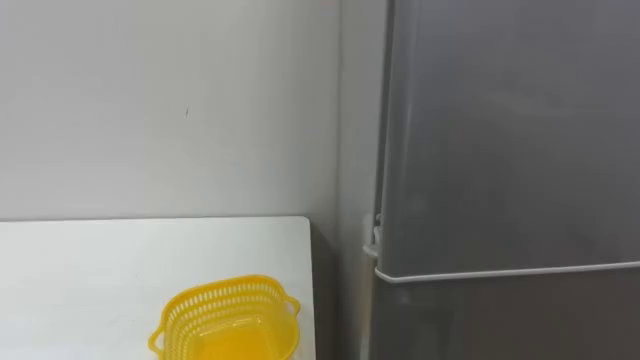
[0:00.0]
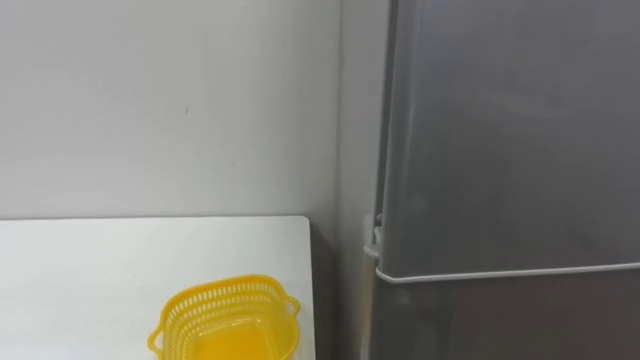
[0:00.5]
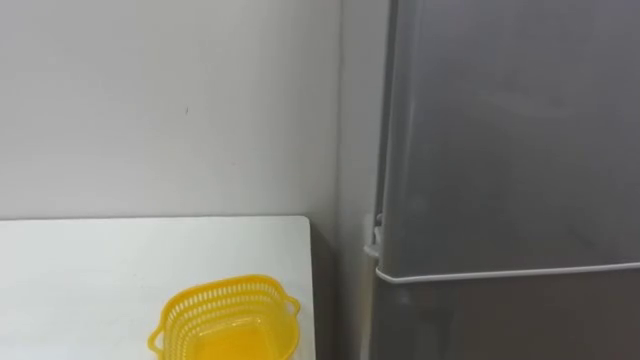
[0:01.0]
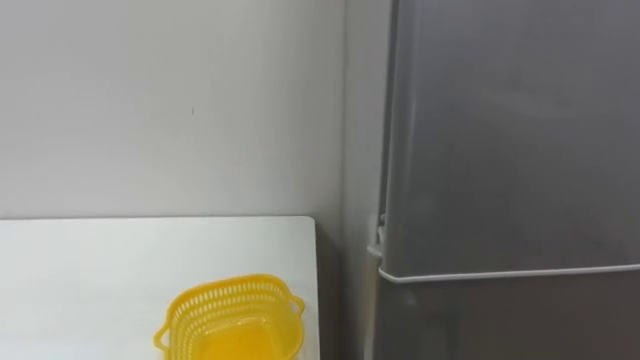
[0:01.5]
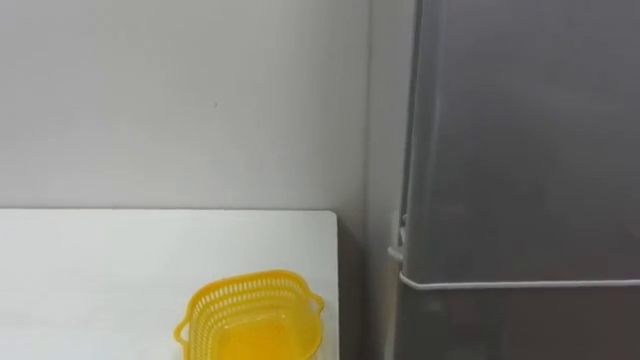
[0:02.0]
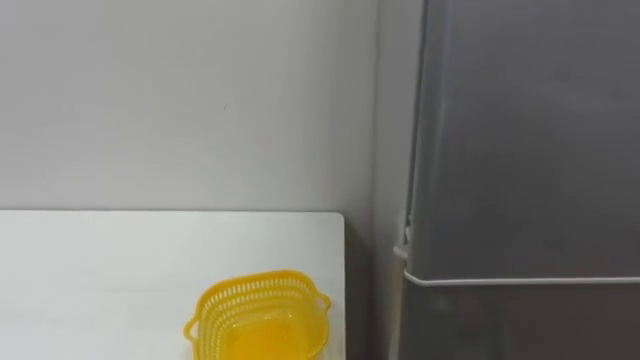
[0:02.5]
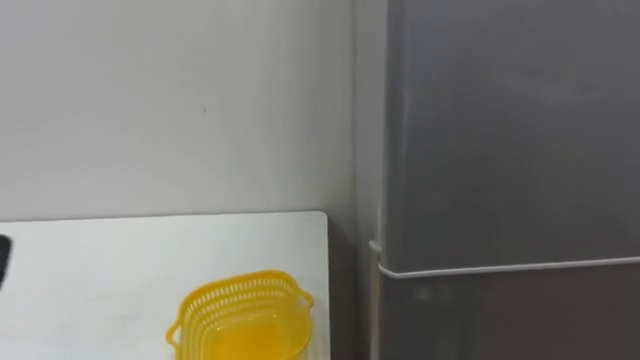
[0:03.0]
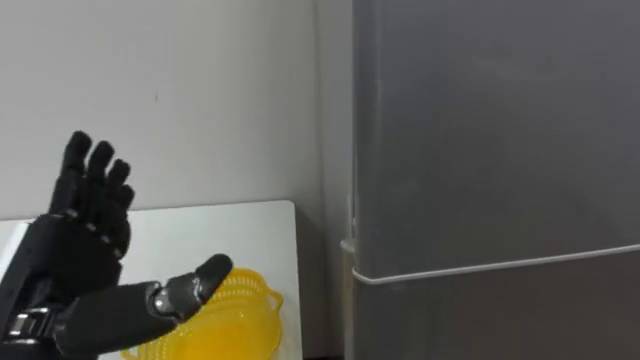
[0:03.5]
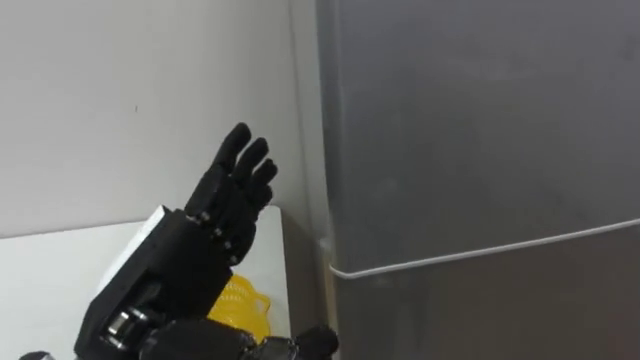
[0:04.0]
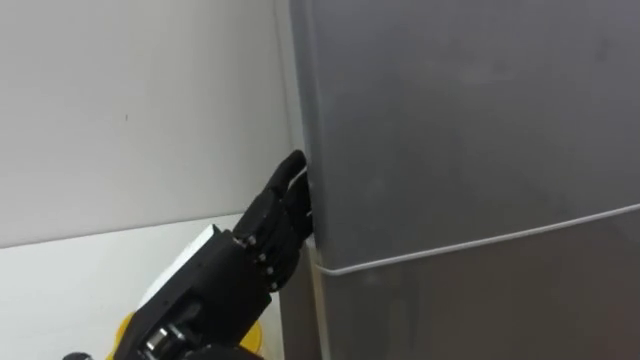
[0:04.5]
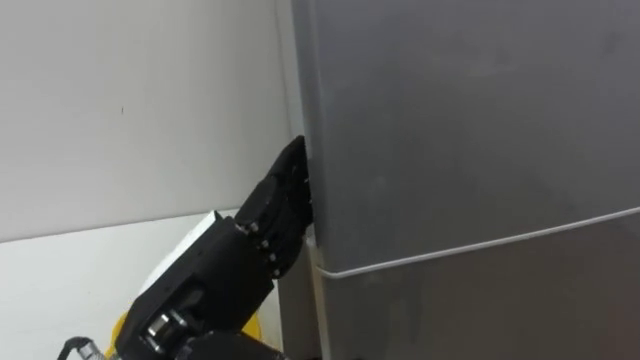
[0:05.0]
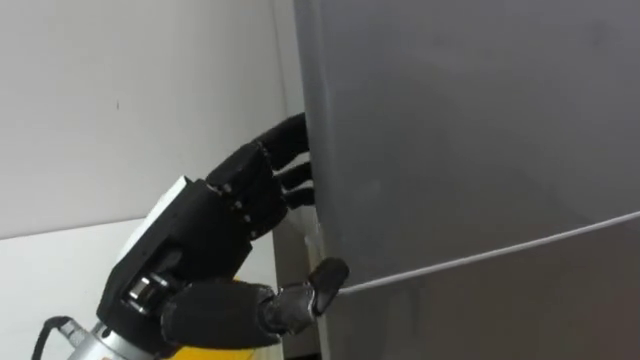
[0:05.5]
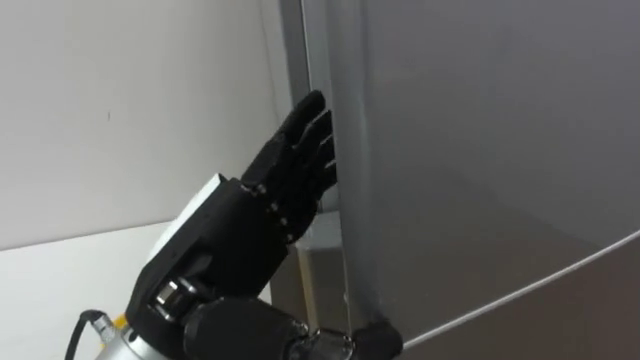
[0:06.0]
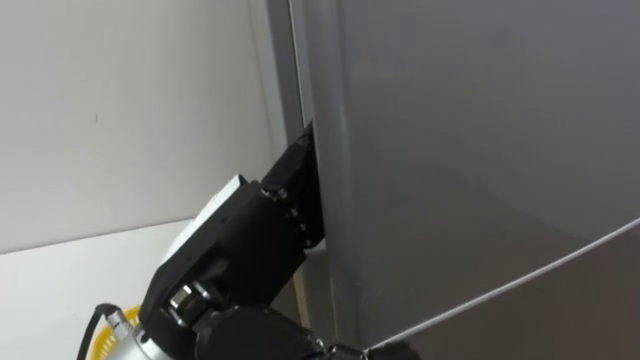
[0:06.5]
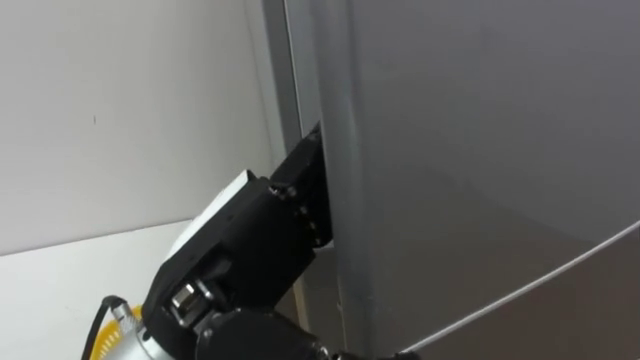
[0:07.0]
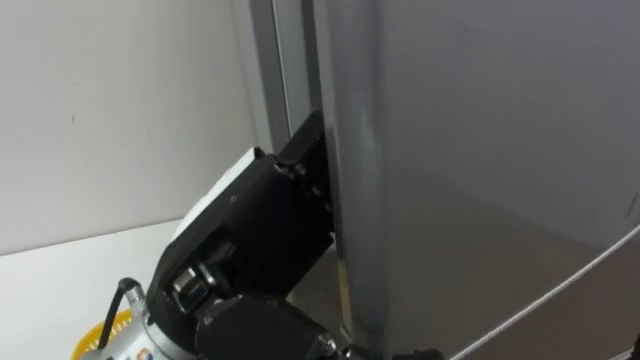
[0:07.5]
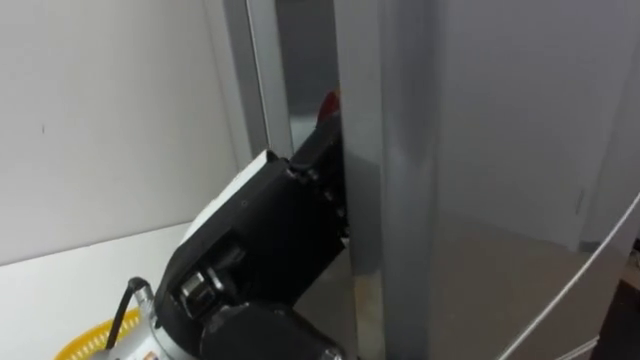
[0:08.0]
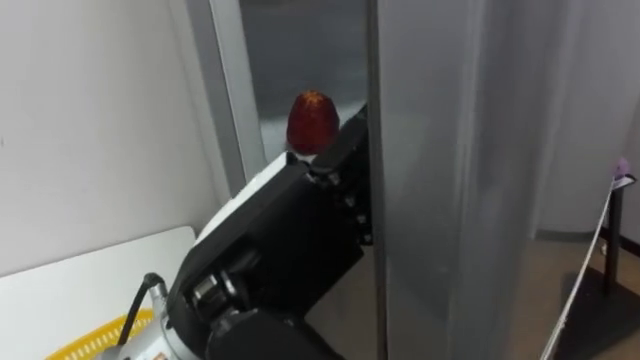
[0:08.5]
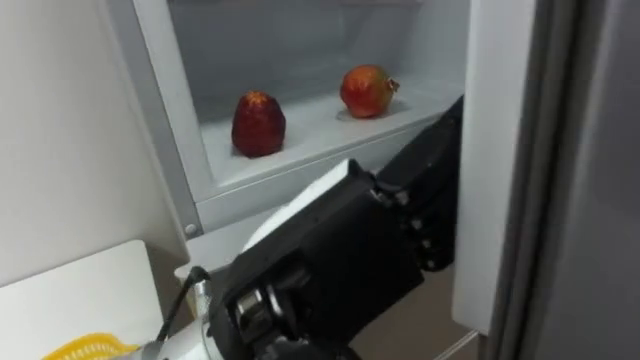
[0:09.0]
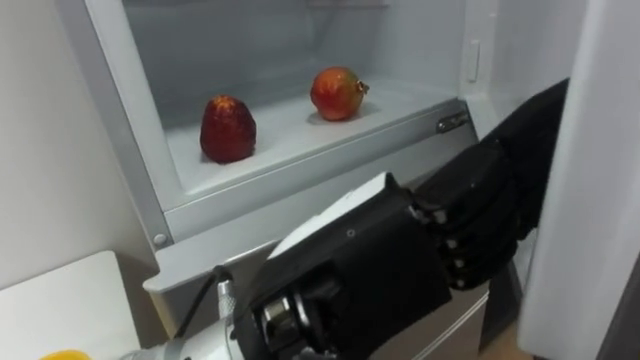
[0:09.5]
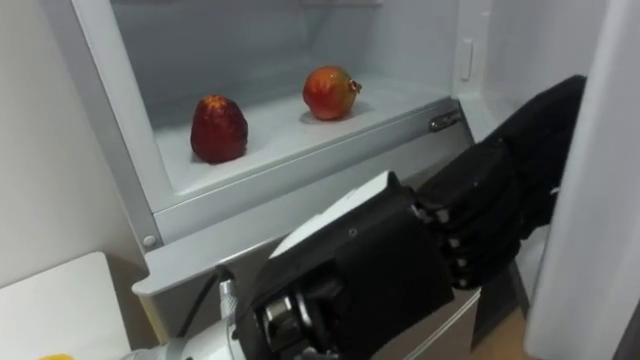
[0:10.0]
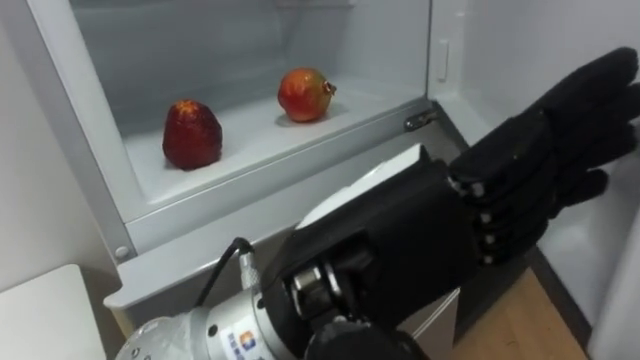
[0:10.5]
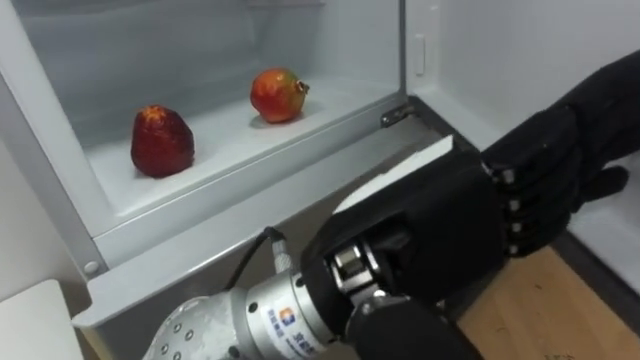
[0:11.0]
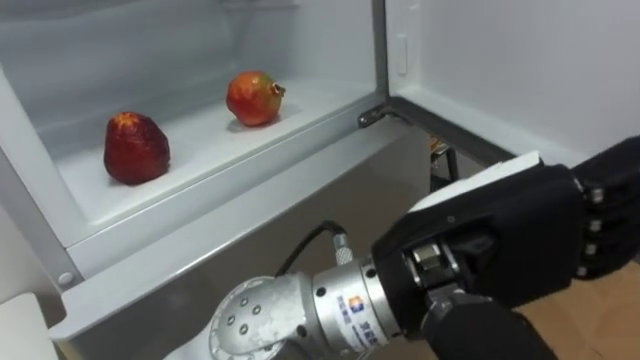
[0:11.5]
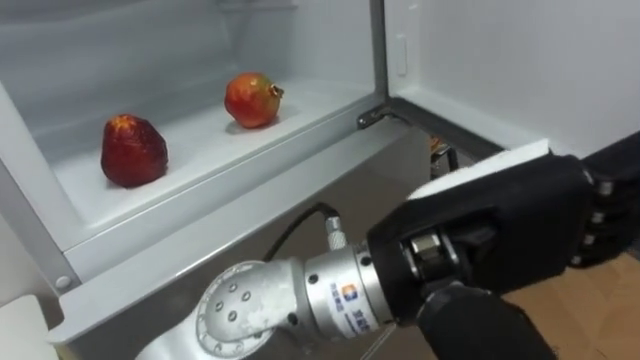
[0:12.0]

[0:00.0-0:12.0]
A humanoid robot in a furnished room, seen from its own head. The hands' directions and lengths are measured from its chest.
Task of the whole recording: Open the refrigerator door, take out the apple and the pomegranate, place them in the fruit basket on the left, and close the refrigerator door.
0:04.0 to 0:06.0: The left hand changes place by roughly 5 cm.
0:08.0 to 0:10.0: The left hand heads to the right, covering about 5 cm.
0:10.0 to 0:12.0: The left hand goes about 5 cm to the right.

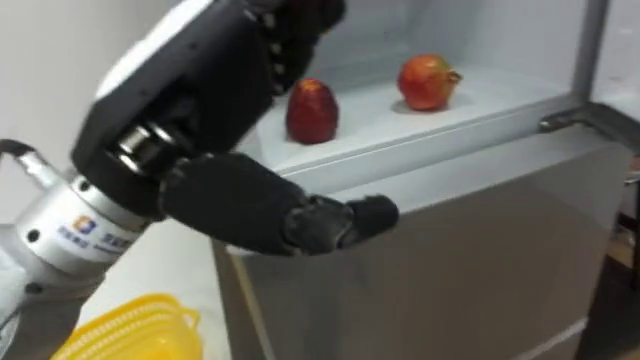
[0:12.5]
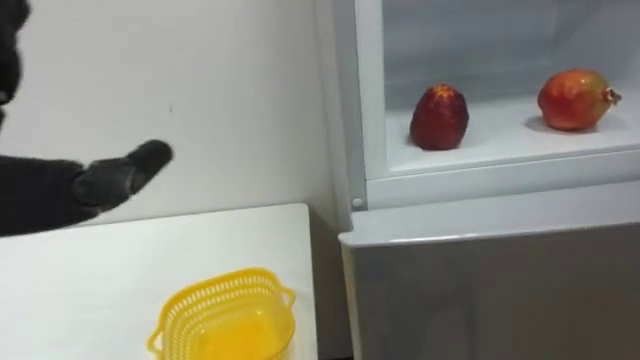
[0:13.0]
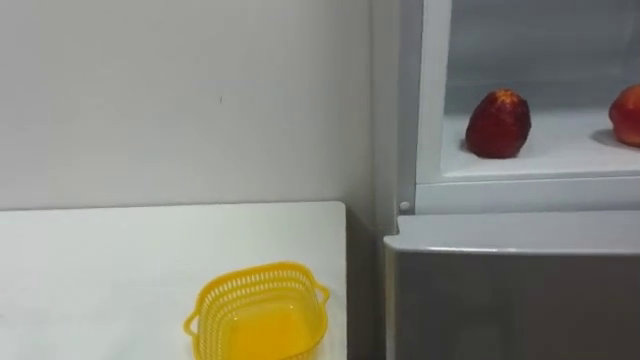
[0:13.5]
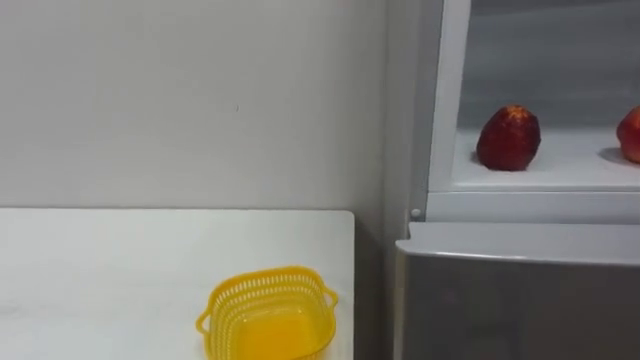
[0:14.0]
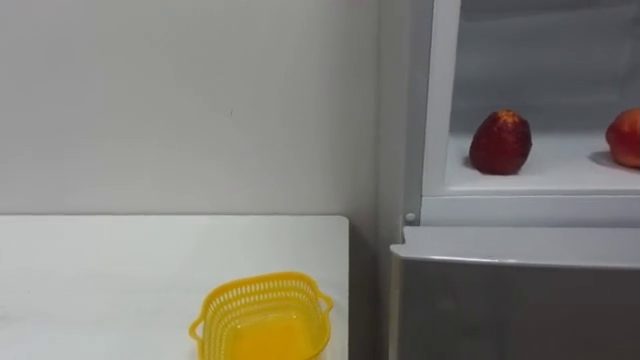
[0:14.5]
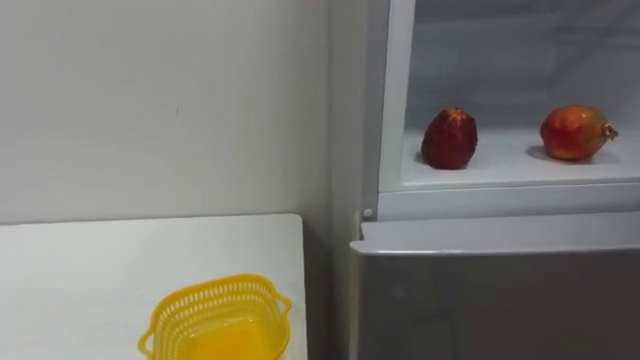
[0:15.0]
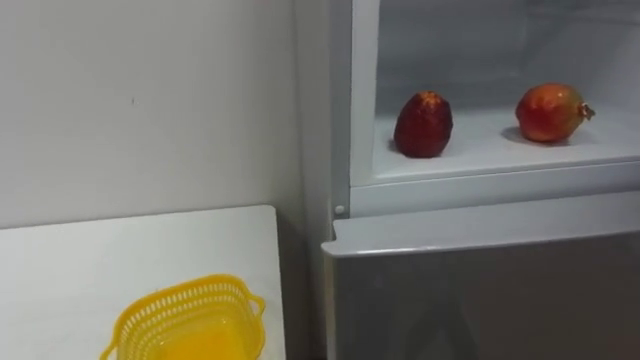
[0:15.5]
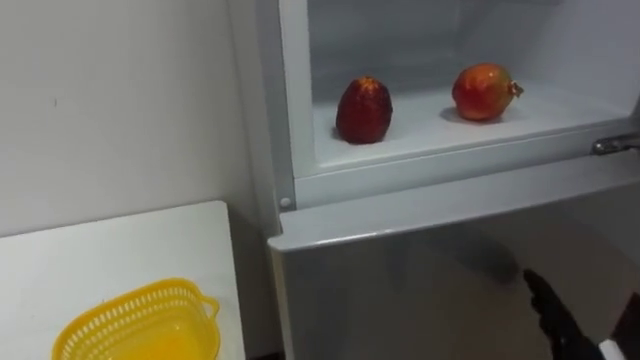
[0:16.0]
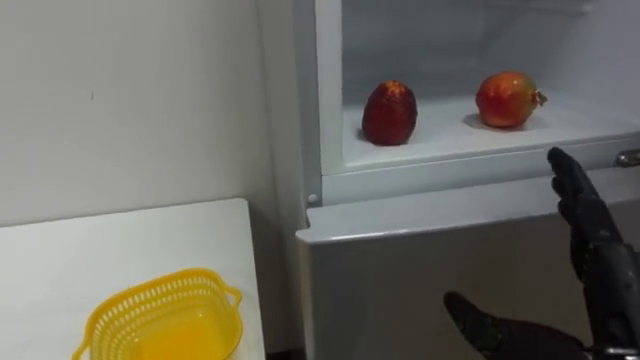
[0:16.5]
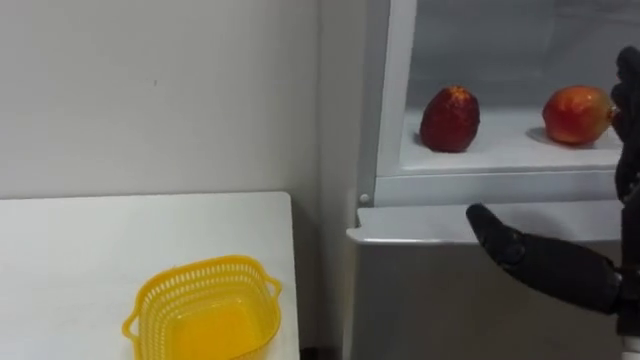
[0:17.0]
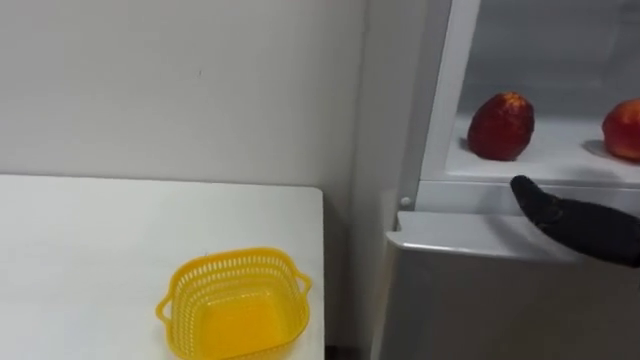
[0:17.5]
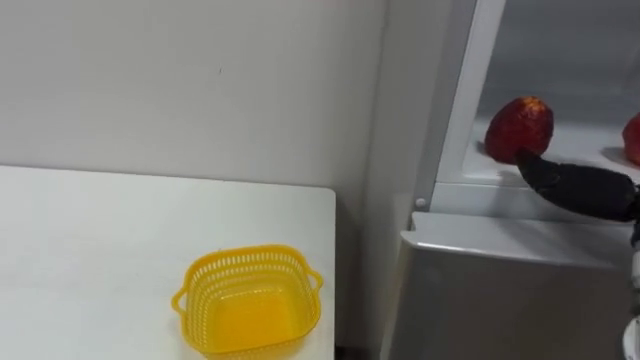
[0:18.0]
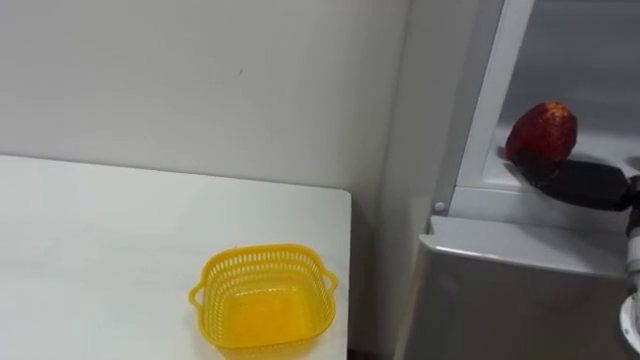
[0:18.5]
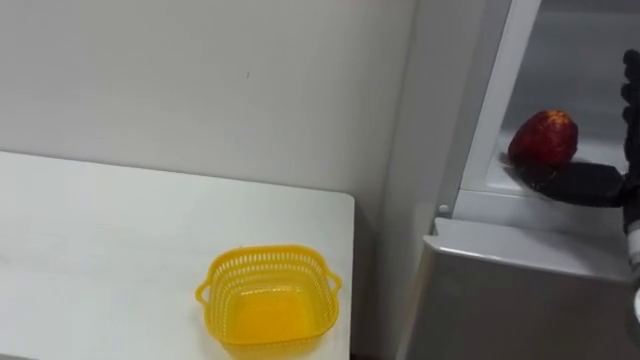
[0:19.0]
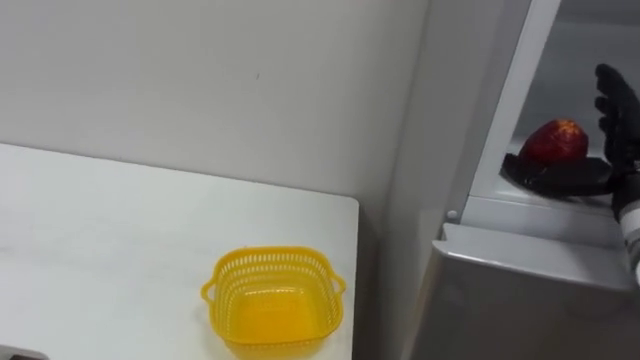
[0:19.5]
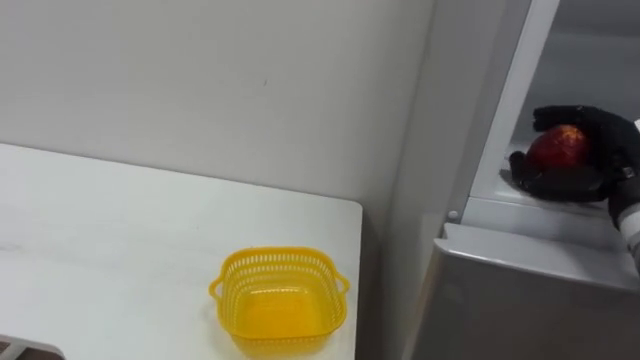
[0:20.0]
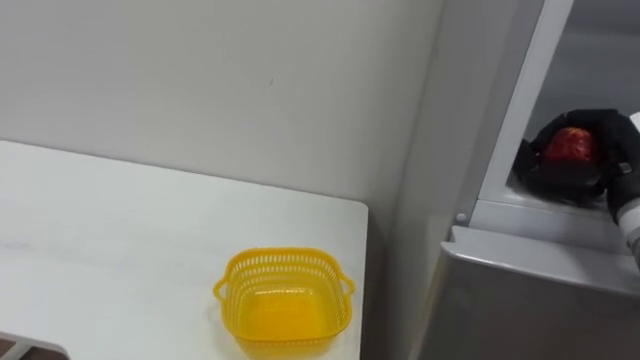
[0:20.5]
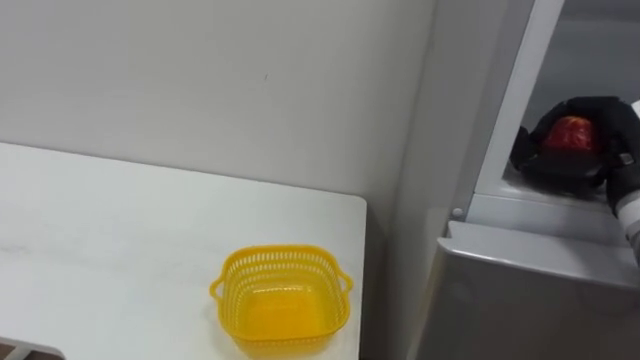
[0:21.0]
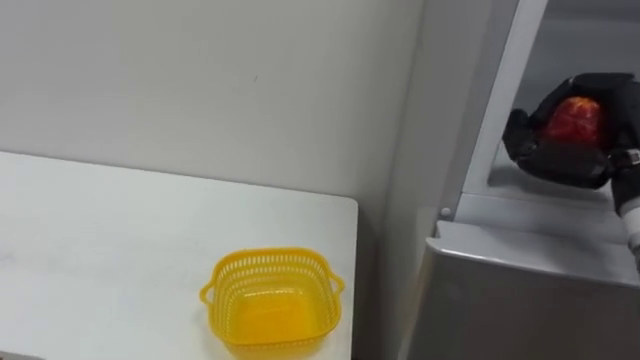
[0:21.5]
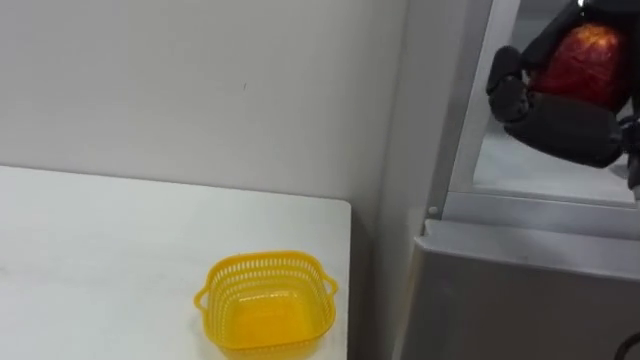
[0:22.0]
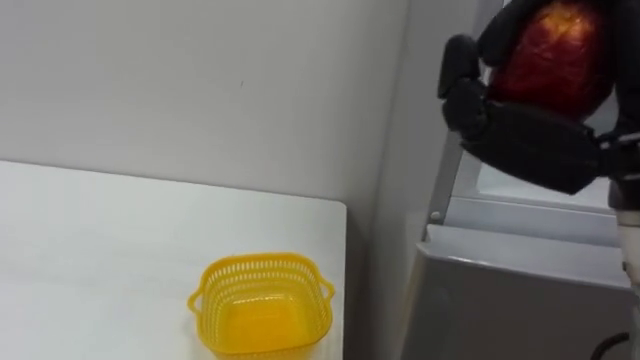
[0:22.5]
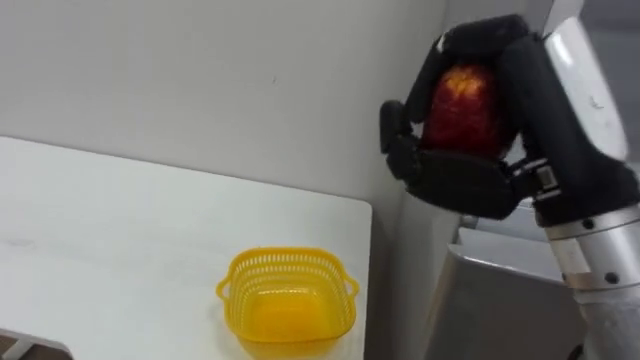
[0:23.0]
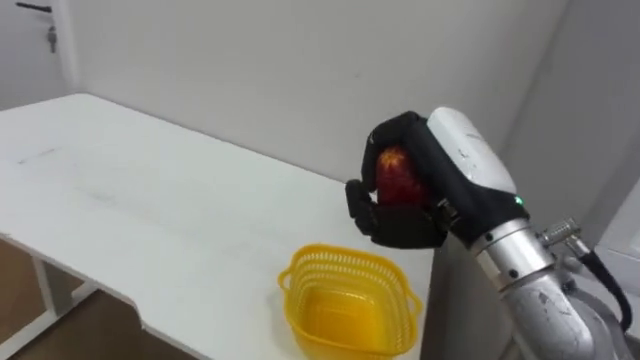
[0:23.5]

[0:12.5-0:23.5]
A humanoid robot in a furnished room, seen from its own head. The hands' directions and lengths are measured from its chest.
Task of the whole recording: Open the refrigerator door, take out the apple and the pomegranate, place them in the fruit basket on the left, and close the refrigerator door.
0:20.0 to 0:21.5: The right hand shifts by some 5 cm, and closes.
